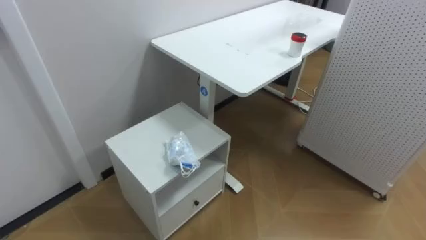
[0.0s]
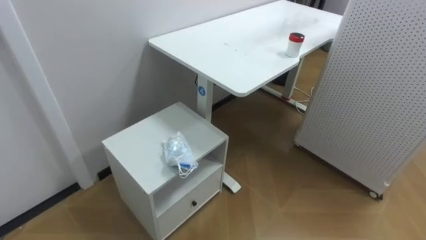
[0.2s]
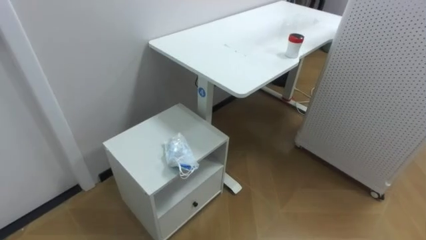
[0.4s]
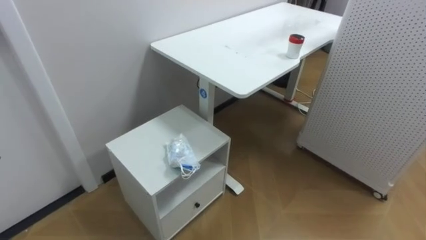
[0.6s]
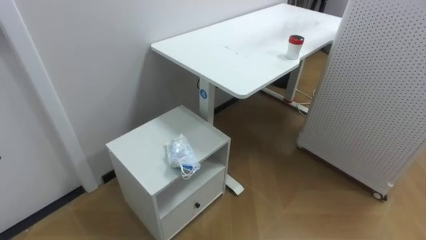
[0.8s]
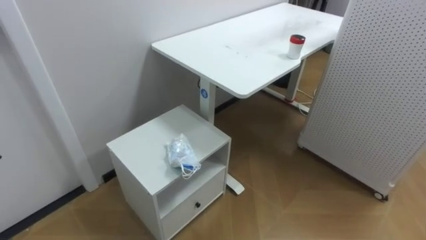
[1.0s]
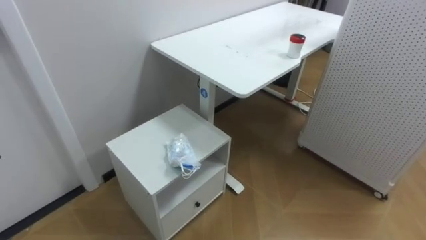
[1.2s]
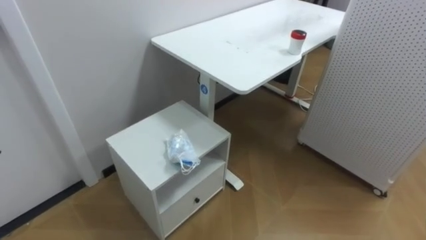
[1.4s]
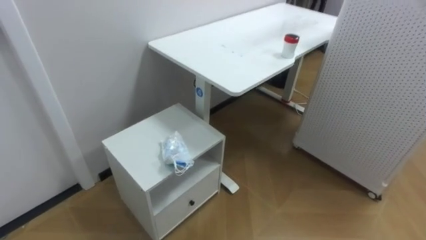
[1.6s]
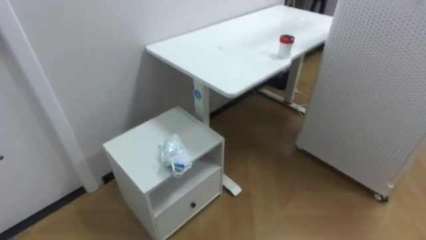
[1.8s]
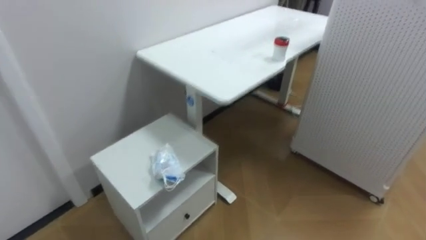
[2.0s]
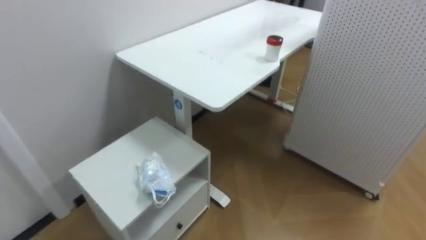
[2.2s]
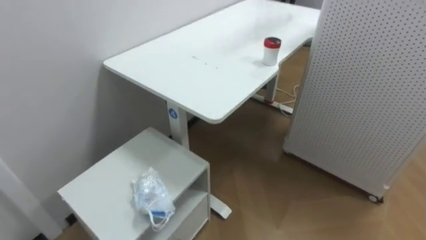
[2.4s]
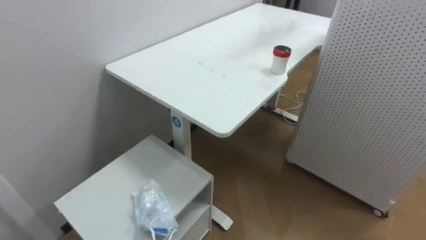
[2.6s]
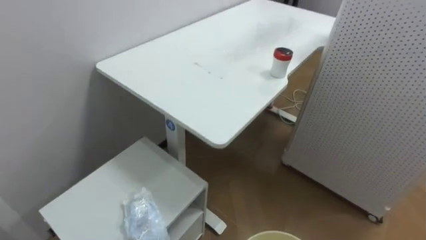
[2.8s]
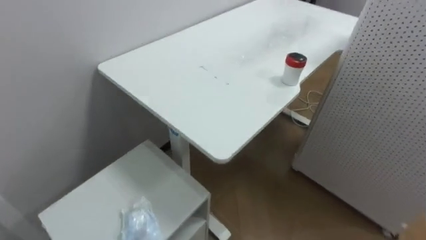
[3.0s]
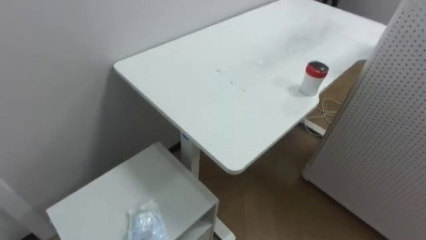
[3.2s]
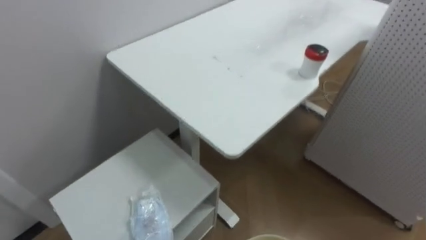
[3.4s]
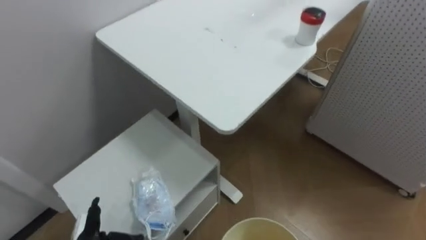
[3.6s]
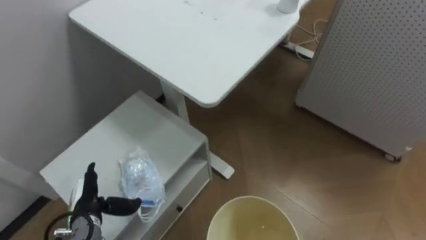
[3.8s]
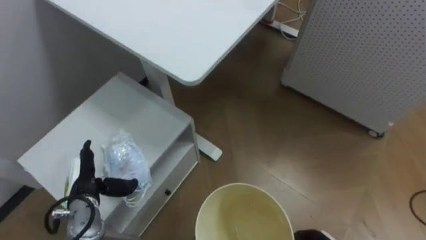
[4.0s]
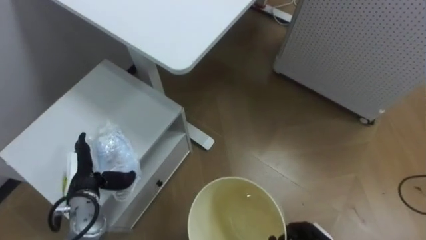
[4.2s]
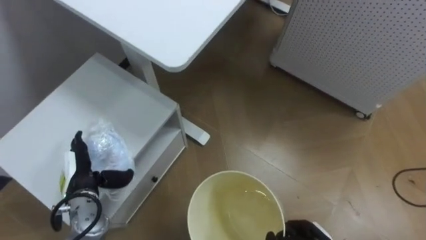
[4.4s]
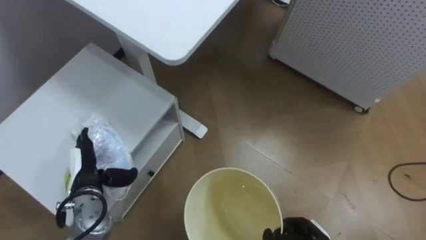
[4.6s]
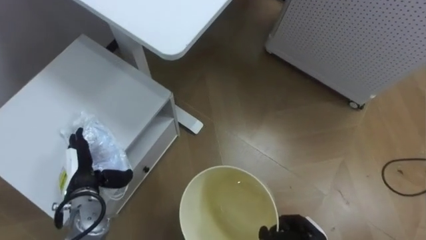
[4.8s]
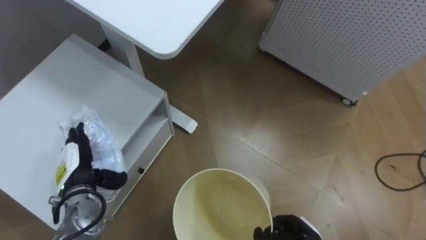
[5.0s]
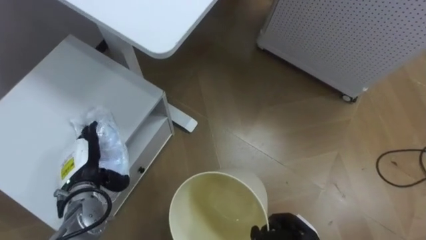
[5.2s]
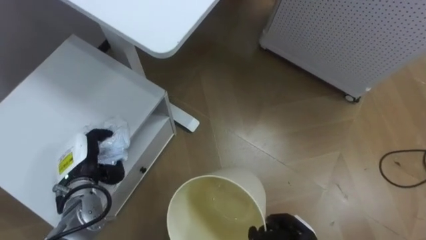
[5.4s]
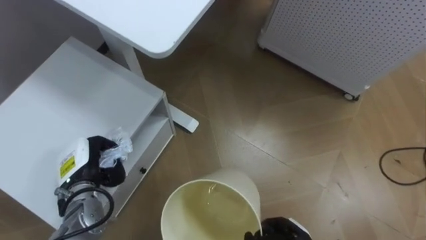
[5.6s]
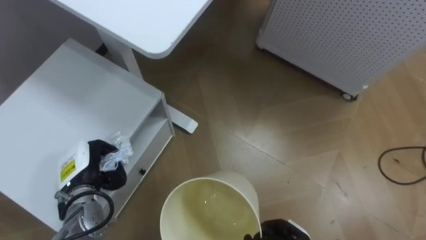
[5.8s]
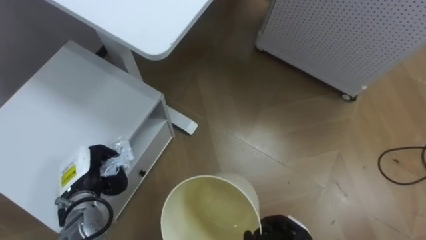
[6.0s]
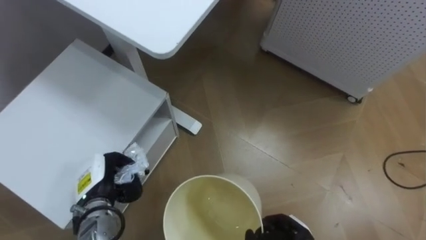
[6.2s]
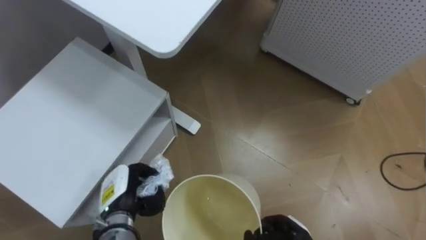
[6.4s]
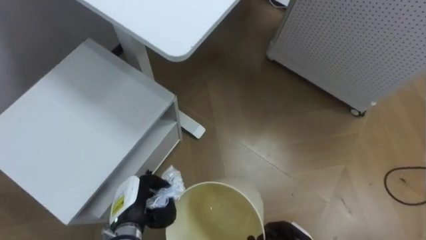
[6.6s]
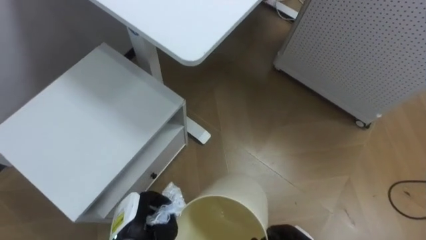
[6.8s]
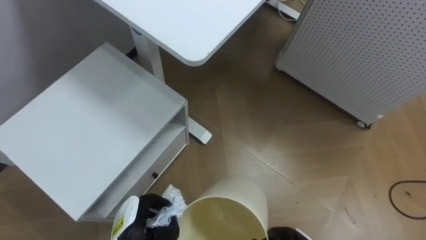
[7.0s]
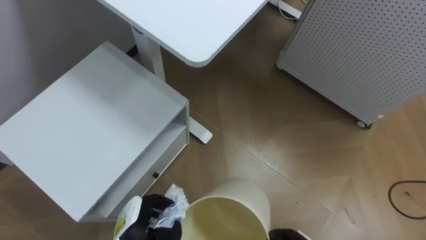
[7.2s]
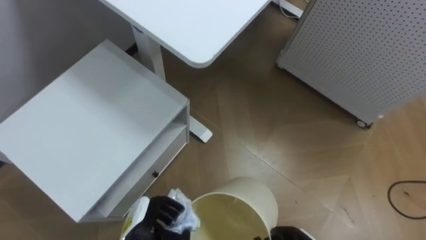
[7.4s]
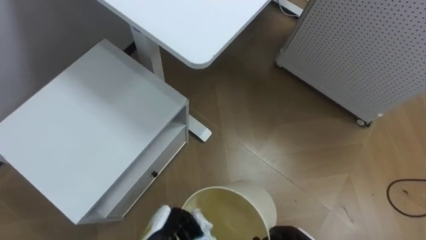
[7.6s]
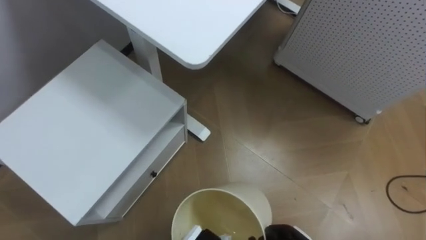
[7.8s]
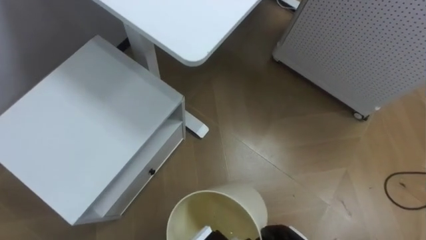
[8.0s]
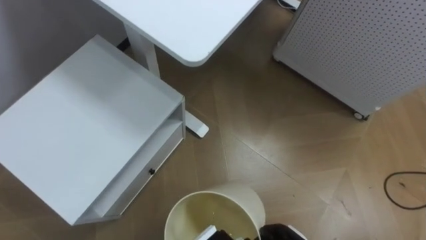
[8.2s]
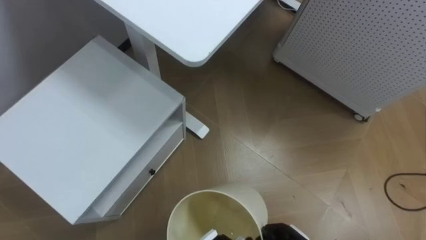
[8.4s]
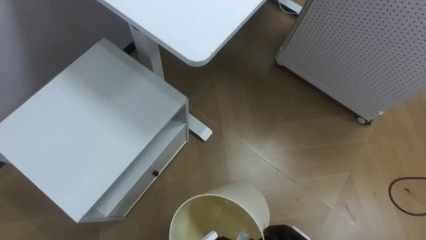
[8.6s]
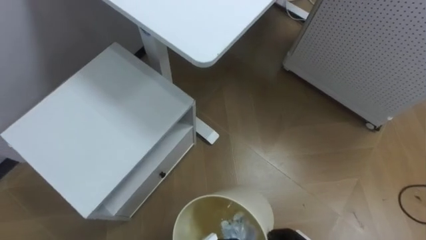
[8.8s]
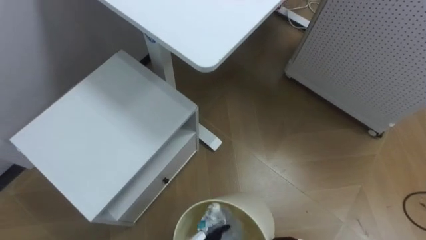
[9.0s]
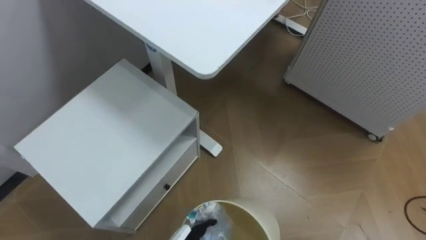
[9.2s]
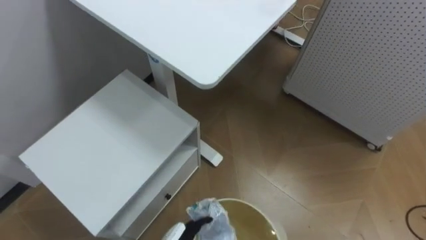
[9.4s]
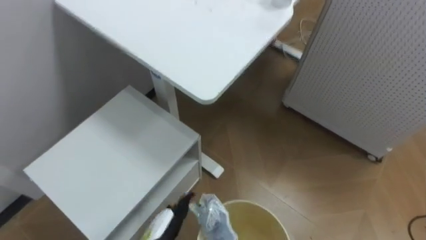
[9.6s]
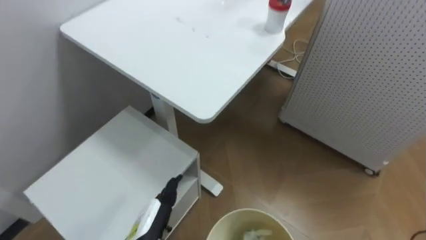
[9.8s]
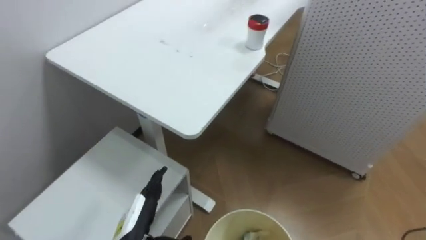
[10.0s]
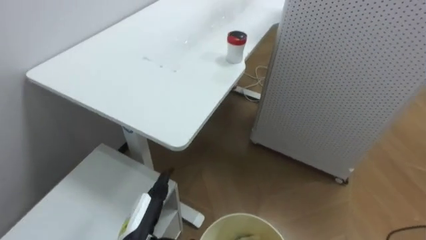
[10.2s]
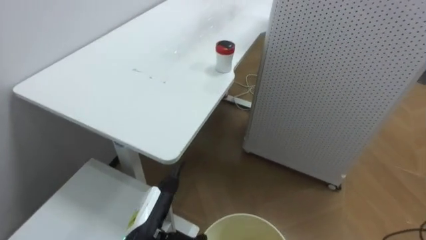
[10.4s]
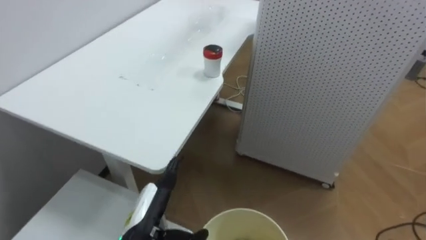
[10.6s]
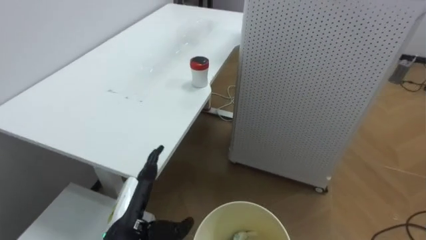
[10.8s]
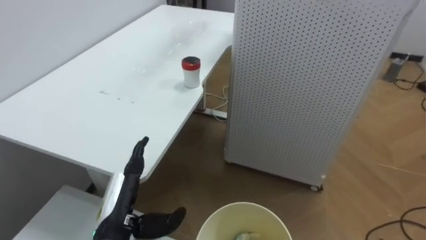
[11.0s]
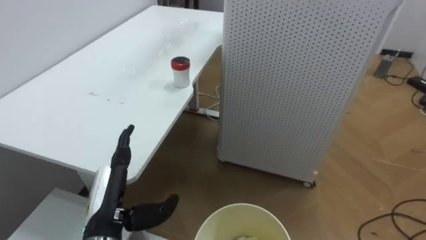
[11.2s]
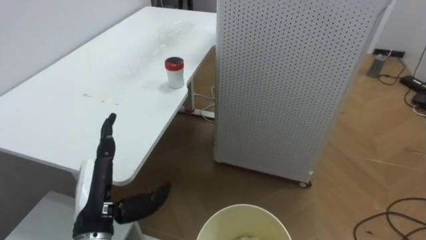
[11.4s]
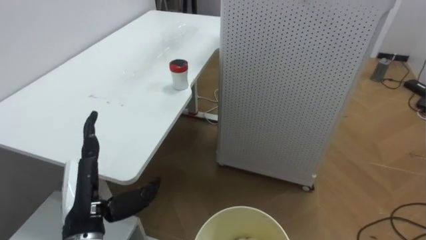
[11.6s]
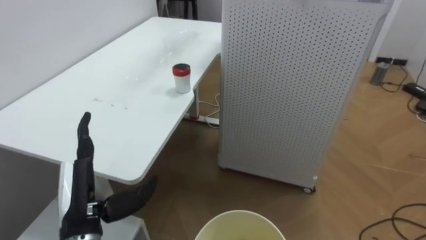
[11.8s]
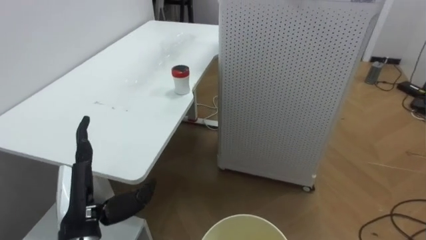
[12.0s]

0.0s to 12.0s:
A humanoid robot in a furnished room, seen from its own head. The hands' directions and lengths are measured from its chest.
Task of the whole recording: Pick up the light blue package, the candy box, and the dark blue package separately, and put them into the trash can held in your right hand.
4.4s to 6.0s: The left hand closes.
6.0s to 7.6s: The left hand moves to the right, downward and backward, approximately 20 cm.
10.4s to 12.0s: The left hand travels to the left and upward by some 10 cm.

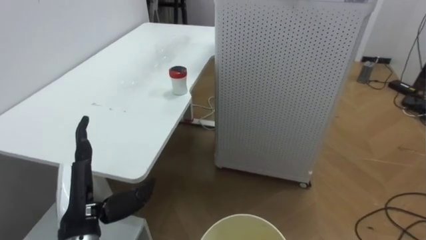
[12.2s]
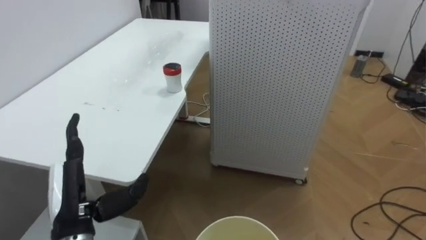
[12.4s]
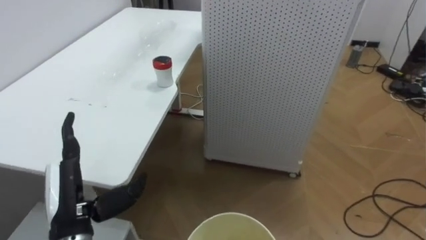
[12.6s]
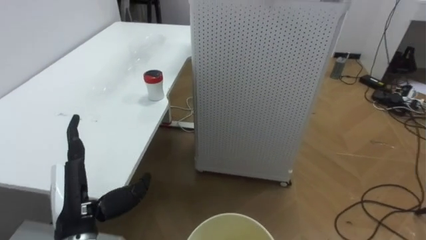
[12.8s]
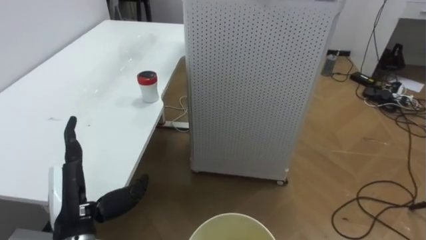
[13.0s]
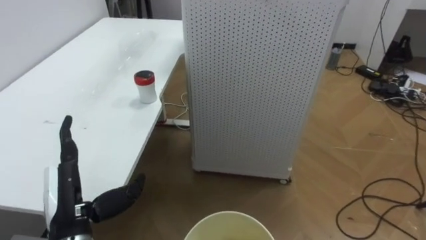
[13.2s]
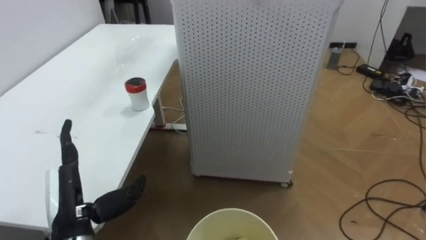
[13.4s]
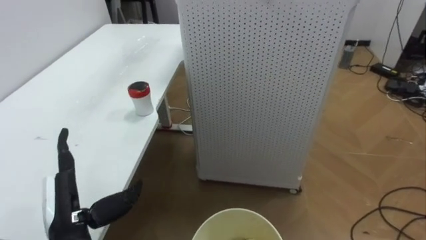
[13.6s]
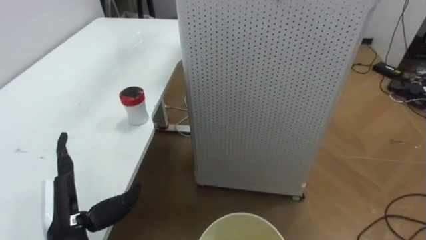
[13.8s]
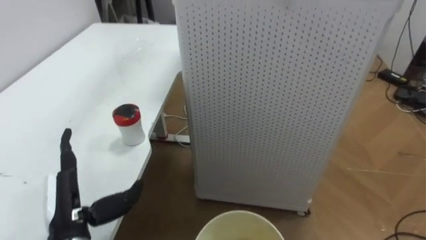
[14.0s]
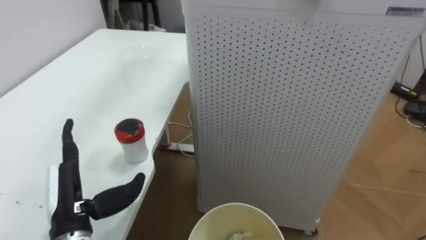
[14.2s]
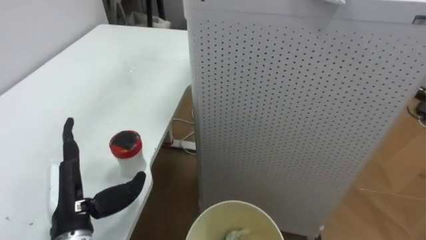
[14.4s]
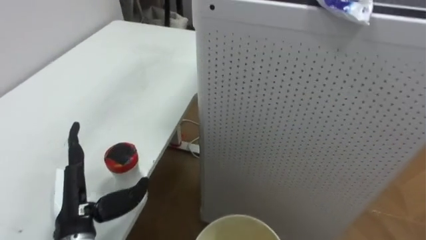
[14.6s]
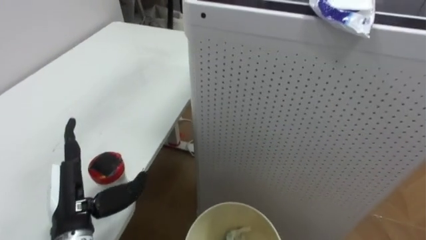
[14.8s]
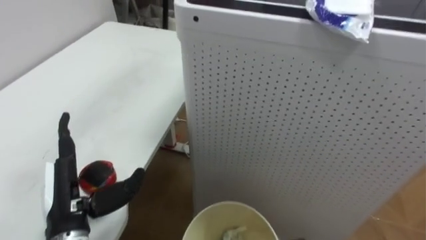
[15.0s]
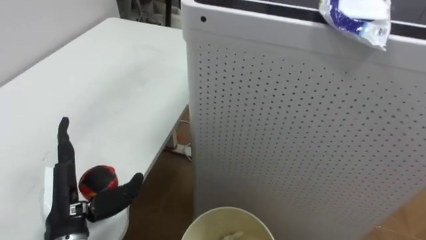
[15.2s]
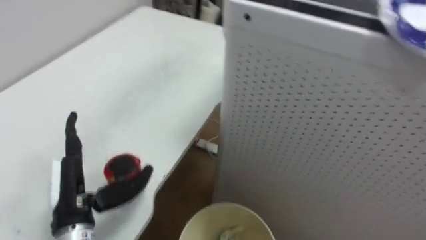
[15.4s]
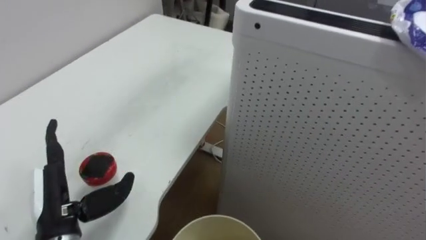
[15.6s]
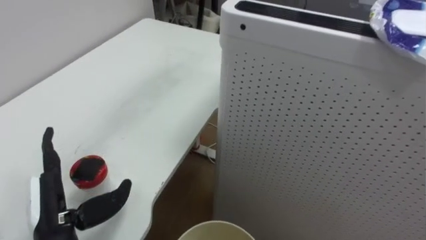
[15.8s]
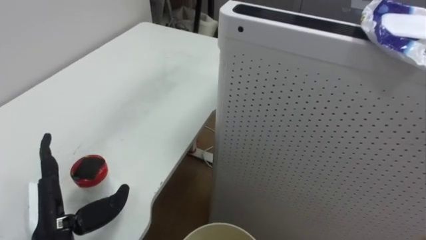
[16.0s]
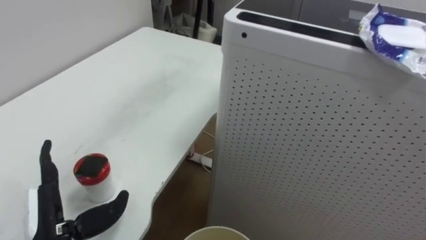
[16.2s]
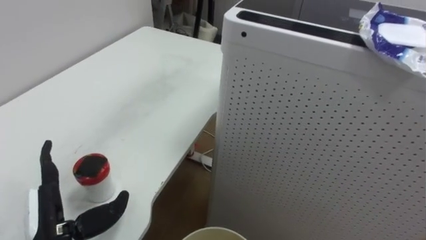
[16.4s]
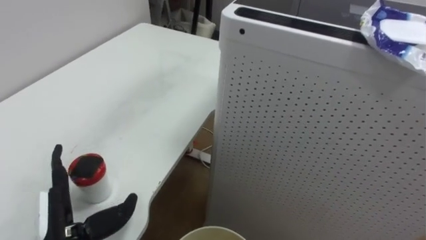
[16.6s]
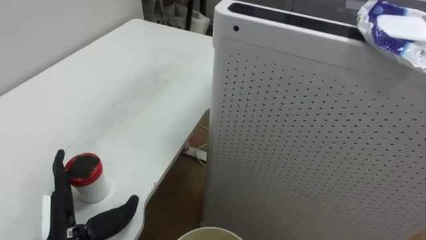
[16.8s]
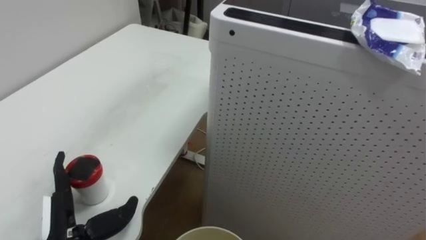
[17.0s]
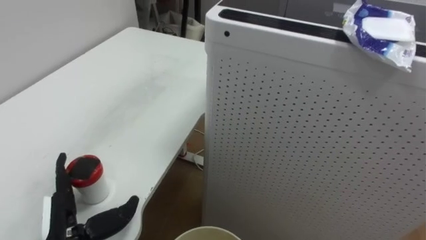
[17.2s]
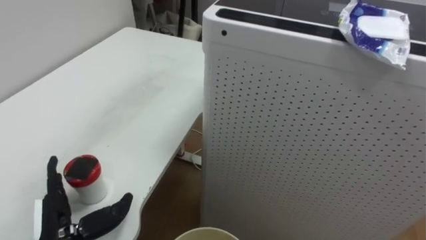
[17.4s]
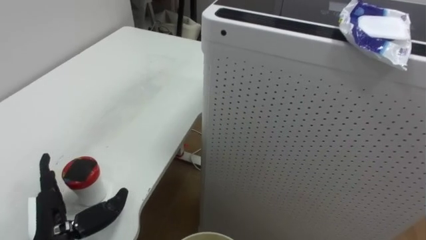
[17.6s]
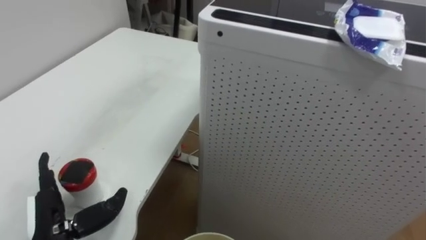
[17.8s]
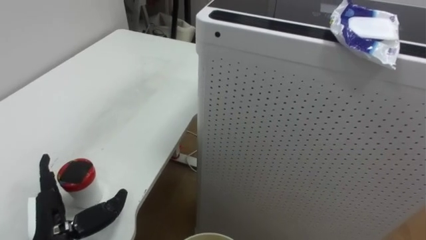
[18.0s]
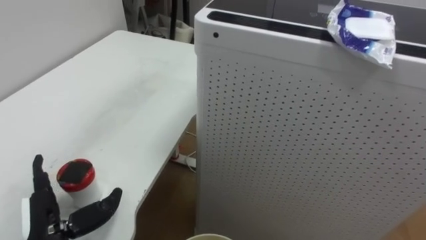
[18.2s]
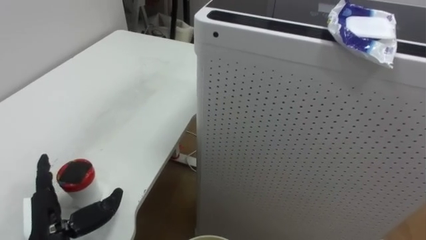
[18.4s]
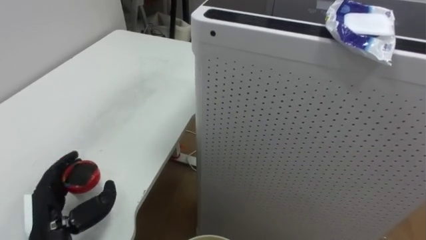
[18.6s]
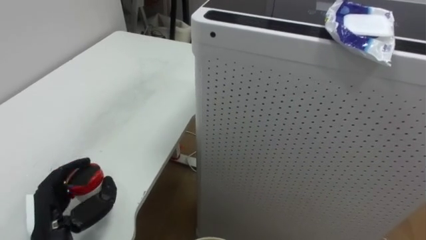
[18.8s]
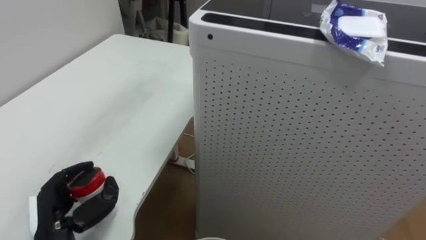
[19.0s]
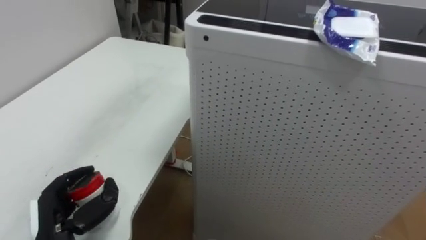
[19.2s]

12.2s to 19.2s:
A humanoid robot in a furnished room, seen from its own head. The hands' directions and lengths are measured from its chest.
Task of the whole recording: Pick up the light blue package, the candy box, and the dark blue package separately, and put them into the trash can held in your right hand.
17.8s to 19.2s: The left hand closes up.
